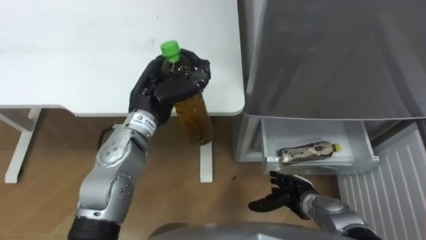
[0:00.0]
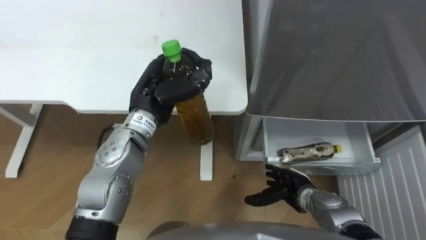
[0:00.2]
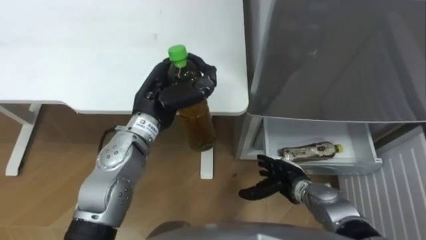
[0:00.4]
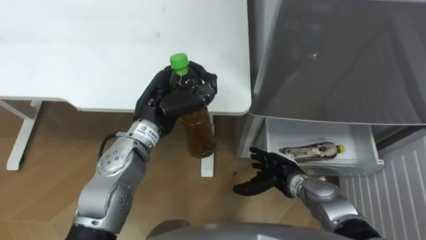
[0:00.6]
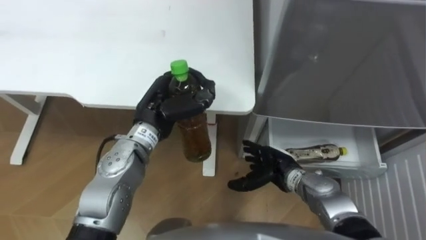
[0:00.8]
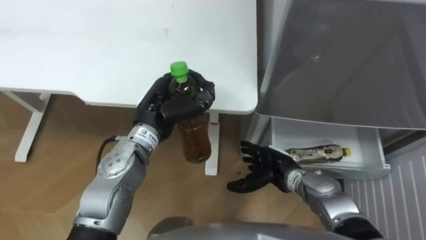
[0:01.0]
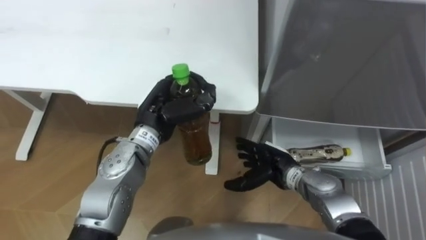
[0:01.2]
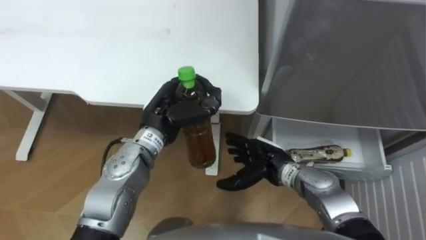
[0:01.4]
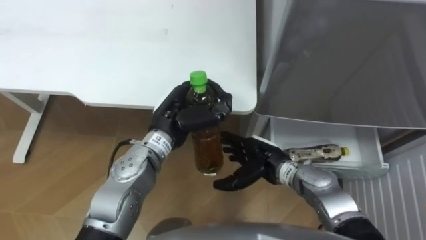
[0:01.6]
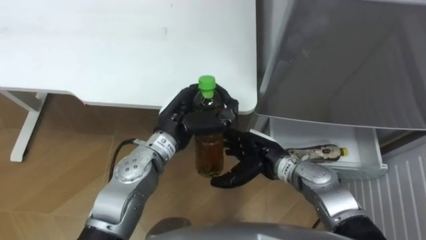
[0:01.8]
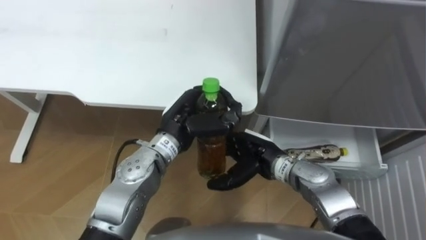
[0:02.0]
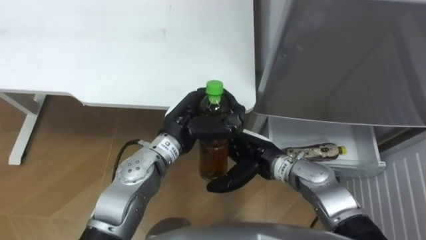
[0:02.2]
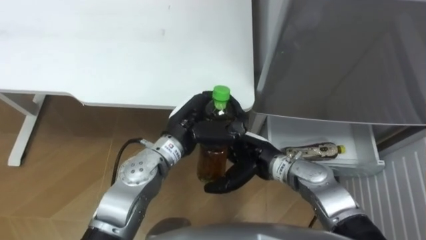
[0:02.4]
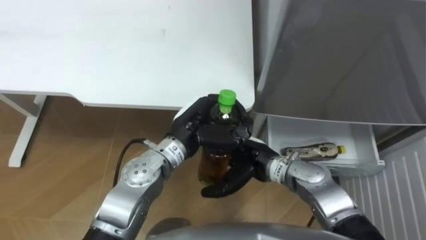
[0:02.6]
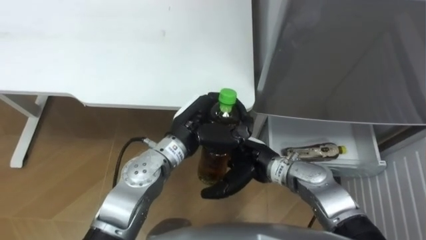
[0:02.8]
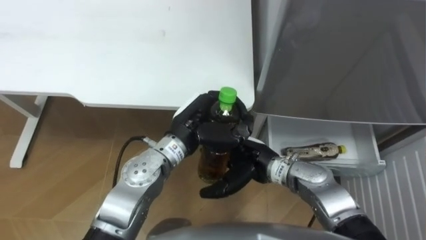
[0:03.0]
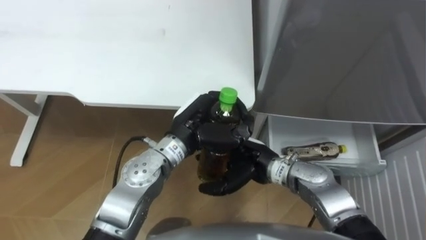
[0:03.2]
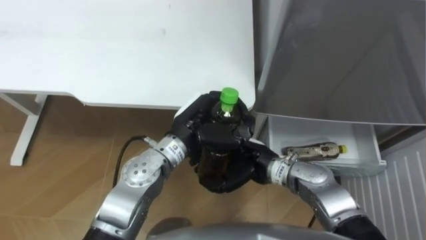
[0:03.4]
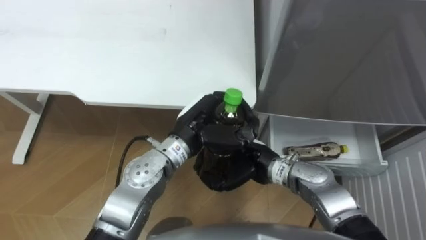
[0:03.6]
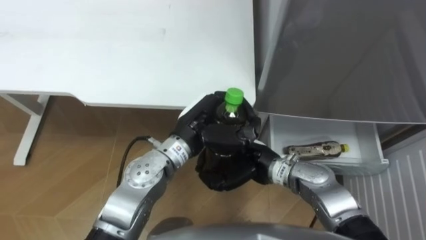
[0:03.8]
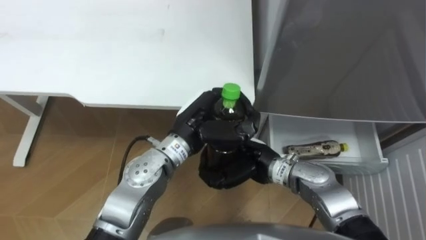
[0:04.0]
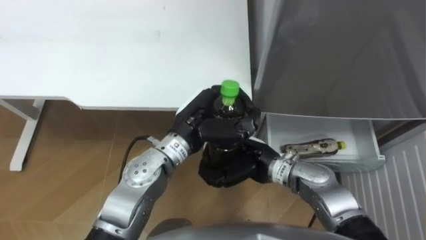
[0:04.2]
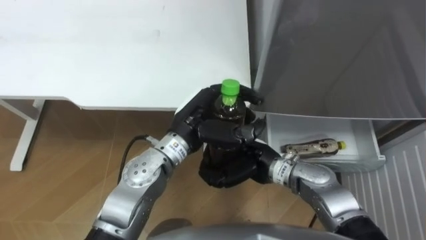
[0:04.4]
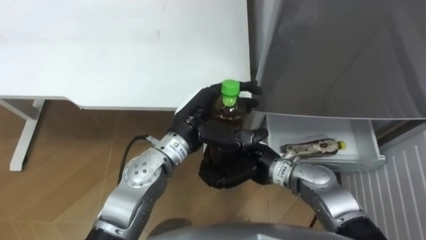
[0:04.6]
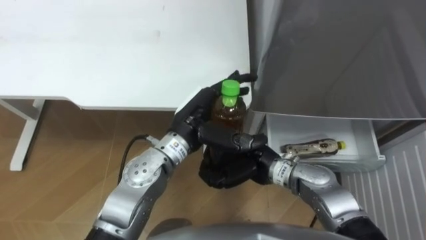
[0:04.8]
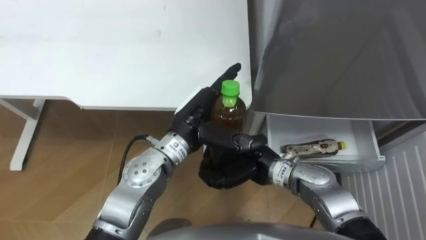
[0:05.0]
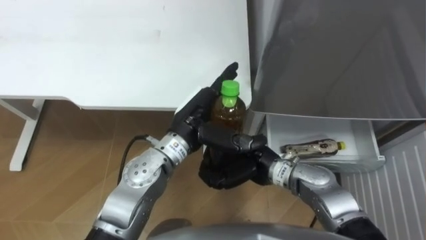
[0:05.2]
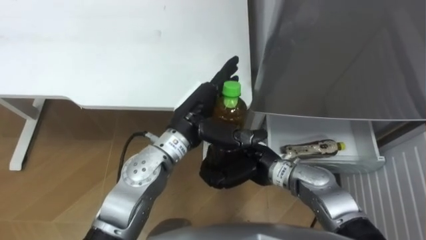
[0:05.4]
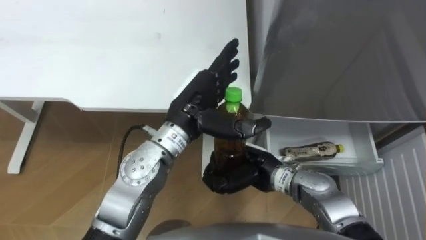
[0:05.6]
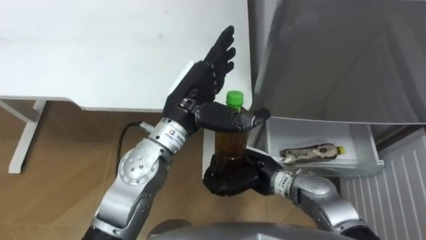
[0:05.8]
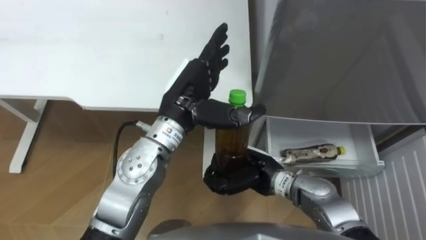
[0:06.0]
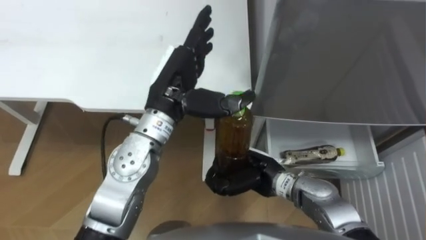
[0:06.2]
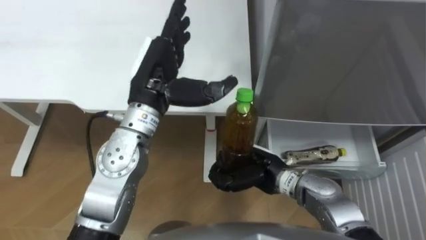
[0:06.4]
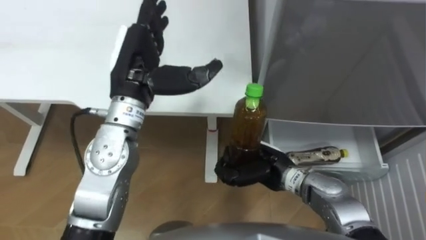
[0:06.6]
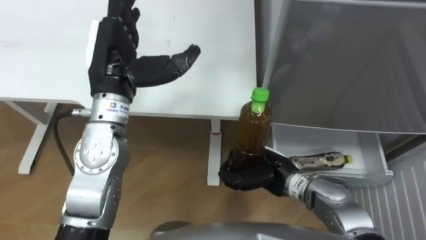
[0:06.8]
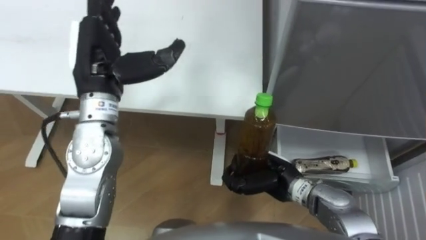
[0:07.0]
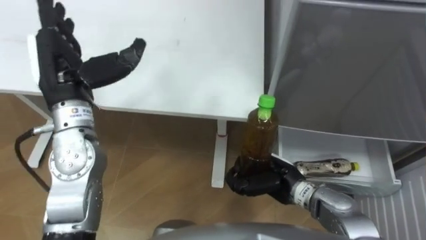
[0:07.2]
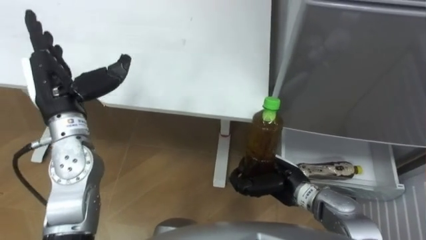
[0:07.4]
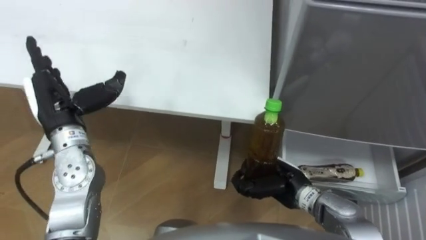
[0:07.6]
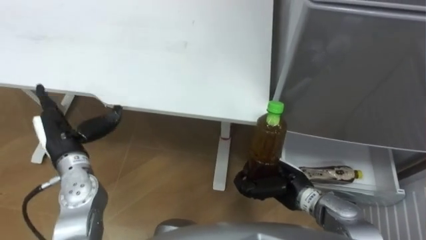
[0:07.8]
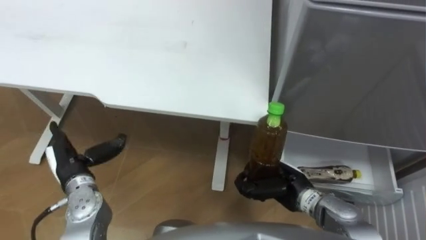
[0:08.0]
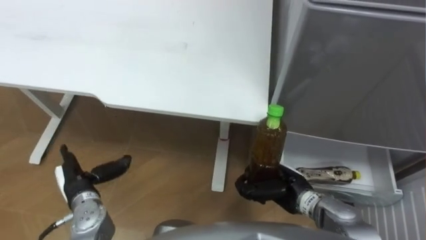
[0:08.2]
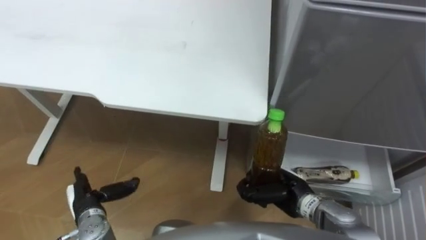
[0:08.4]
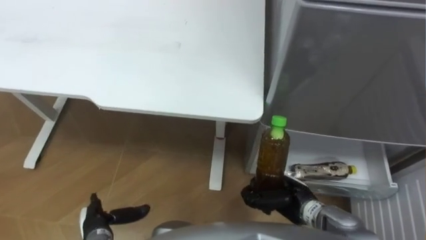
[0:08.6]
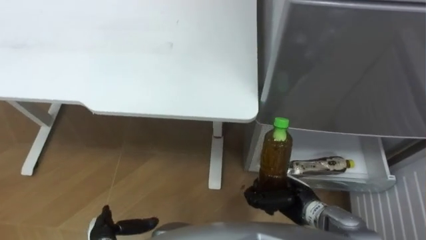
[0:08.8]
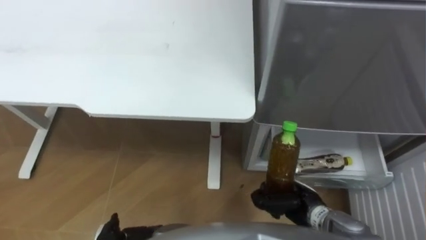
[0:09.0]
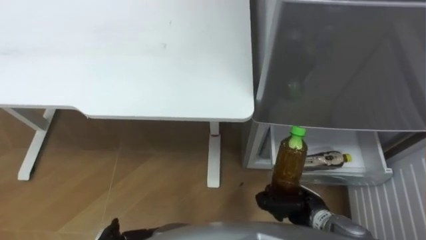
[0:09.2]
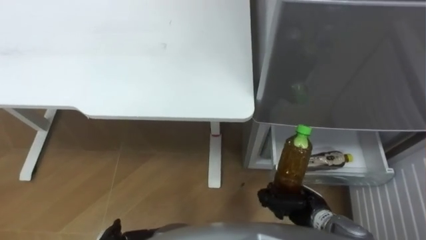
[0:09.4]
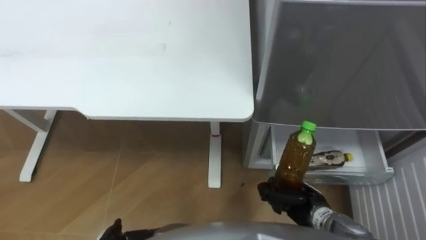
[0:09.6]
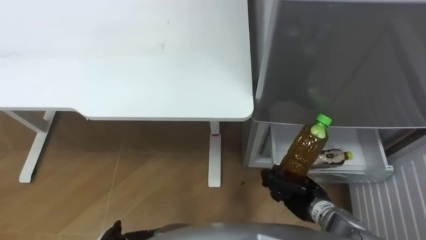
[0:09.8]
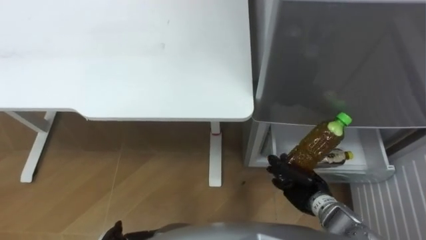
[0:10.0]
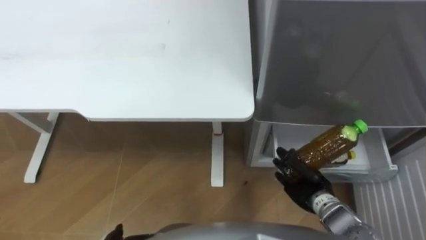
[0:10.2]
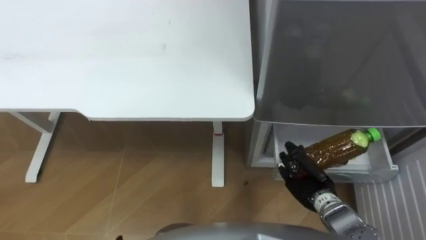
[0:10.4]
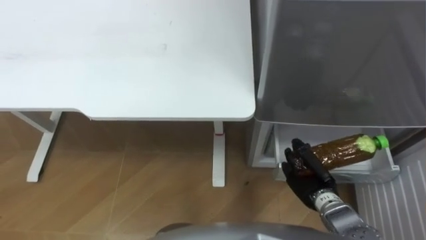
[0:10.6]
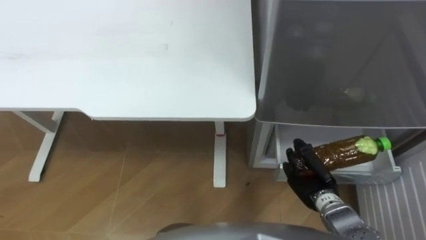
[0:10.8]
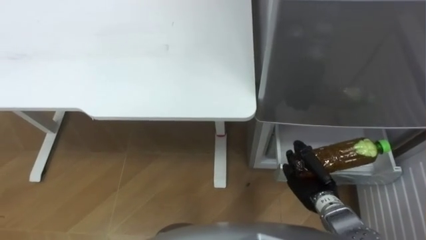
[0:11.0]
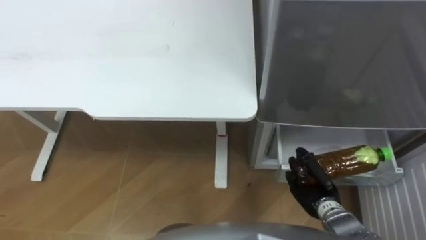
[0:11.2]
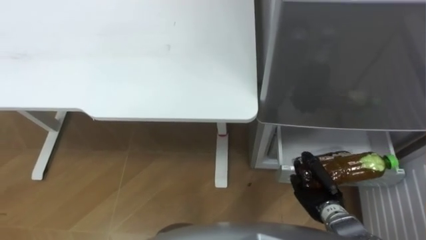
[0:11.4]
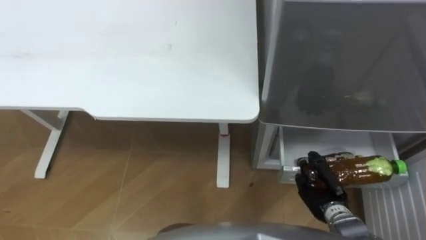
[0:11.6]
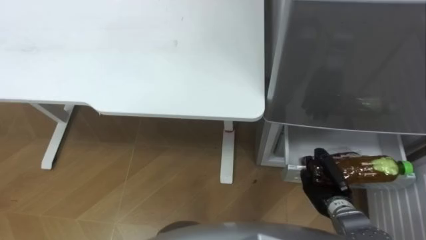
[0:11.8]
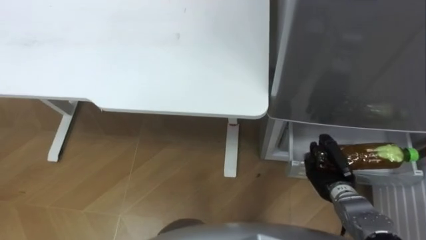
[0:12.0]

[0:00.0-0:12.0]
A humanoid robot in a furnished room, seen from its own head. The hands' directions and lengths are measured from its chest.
Task of the whole recording: Place the drink on the table on the bottom shelf of the refrigerator, then close the drawer and the refrigerator door.
0:00.0 to 0:01.6: The right hand moves upward, to the left and forward, approximately 15 cm; the left hand ends up some 5 cm from where it was.
0:01.6 to 0:03.0: The hands move only a little.
0:03.0 to 0:04.4: The right hand closes up.
0:04.4 to 0:06.0: The left hand is displaced upward by some 5 cm, and opens its fingers.
0:06.0 to 0:07.6: The right hand moves to the right, about 5 cm. The left hand heads to the left, covering some 20 cm.
0:07.6 to 0:09.0: The right hand changes place by roughly 5 cm.
0:10.4 to 0:12.0: The right hand shifts by some 5 cm.

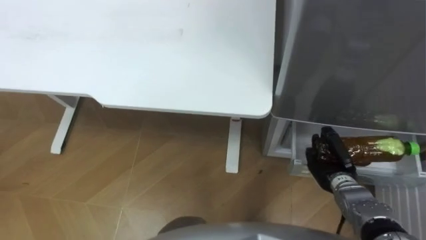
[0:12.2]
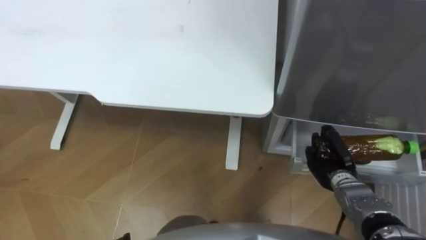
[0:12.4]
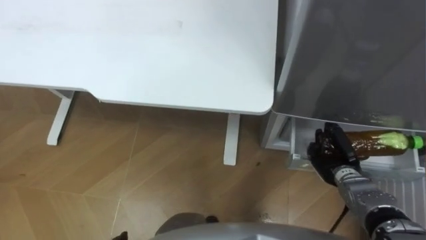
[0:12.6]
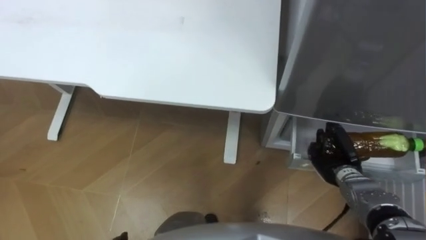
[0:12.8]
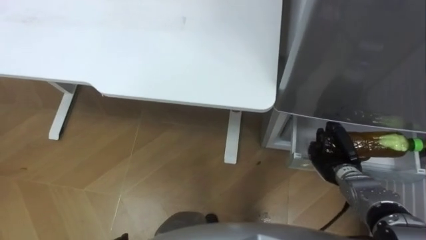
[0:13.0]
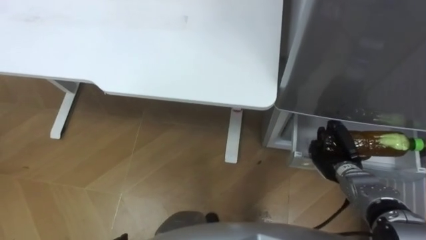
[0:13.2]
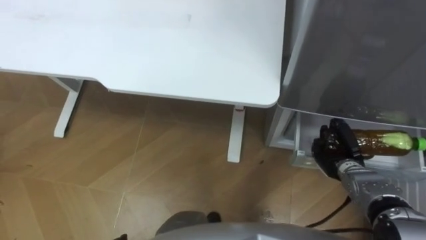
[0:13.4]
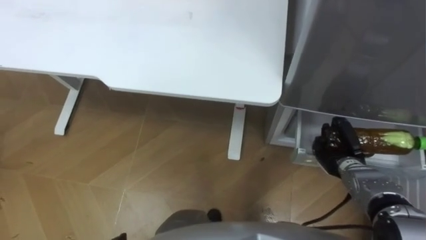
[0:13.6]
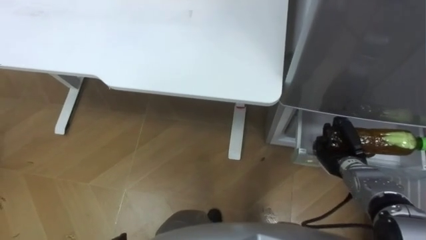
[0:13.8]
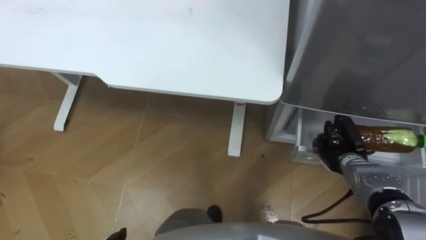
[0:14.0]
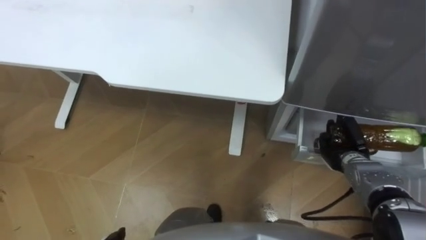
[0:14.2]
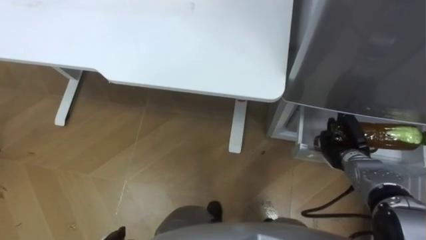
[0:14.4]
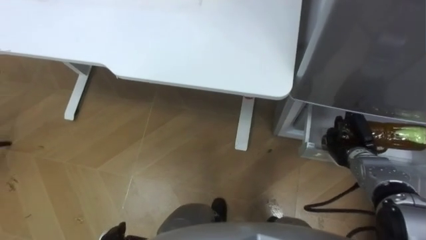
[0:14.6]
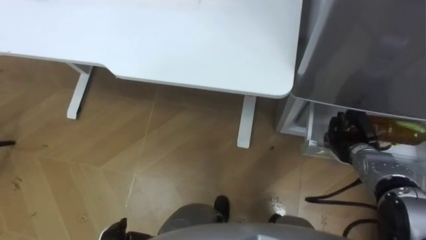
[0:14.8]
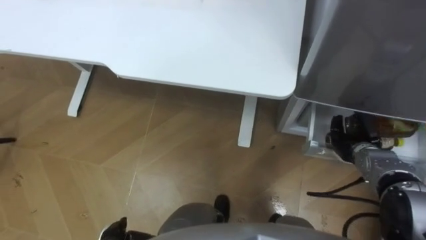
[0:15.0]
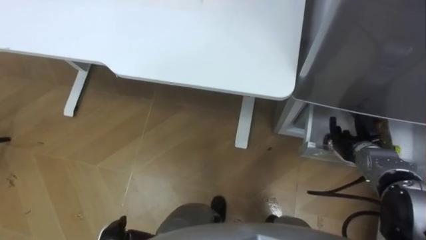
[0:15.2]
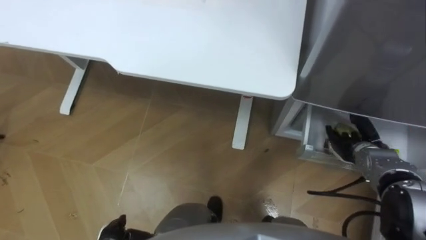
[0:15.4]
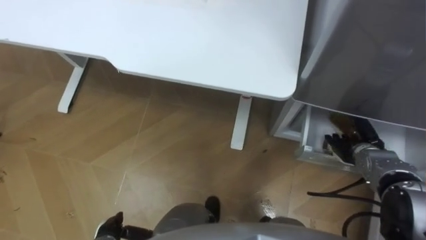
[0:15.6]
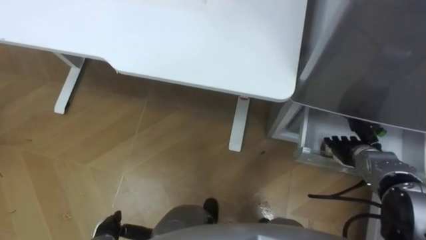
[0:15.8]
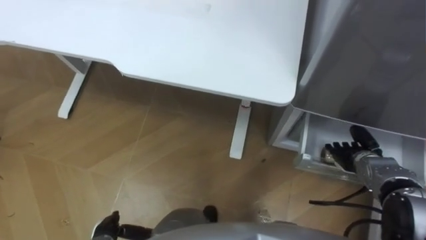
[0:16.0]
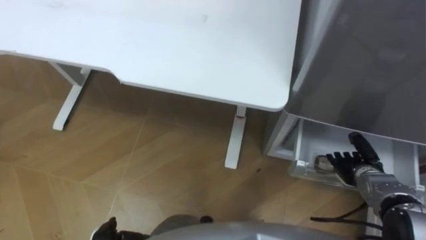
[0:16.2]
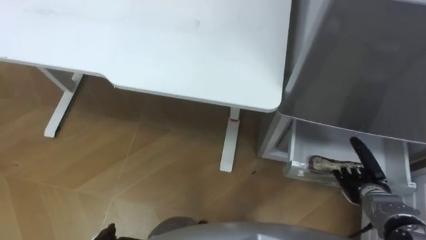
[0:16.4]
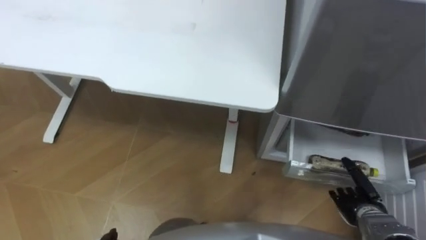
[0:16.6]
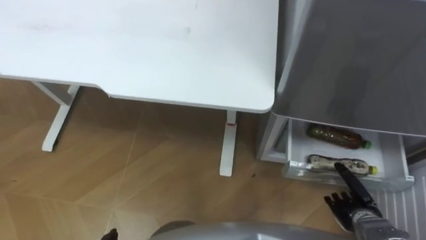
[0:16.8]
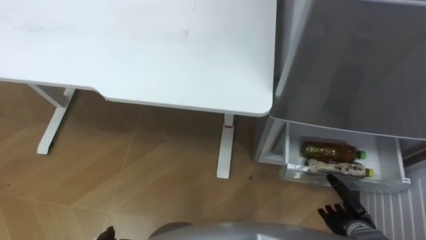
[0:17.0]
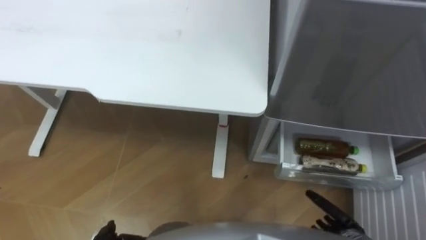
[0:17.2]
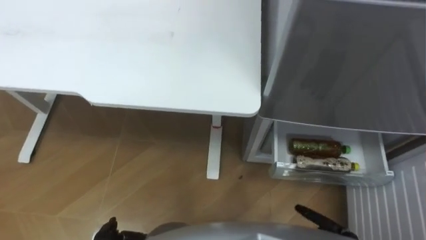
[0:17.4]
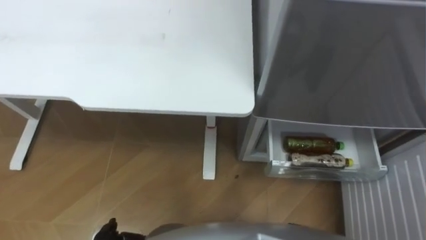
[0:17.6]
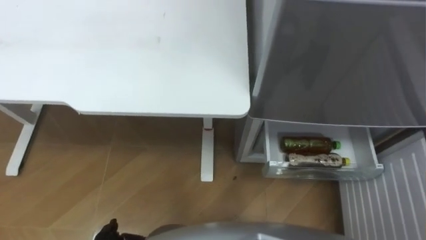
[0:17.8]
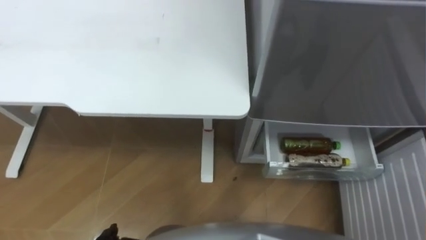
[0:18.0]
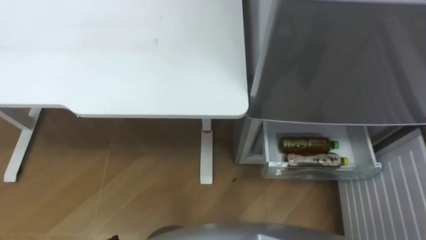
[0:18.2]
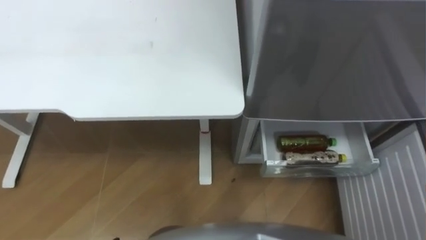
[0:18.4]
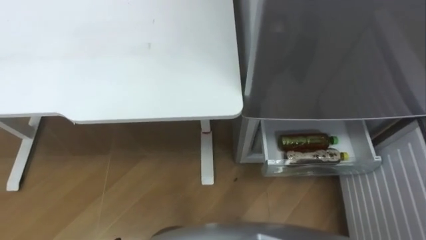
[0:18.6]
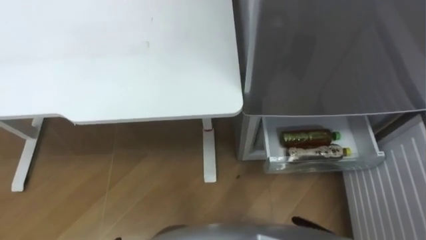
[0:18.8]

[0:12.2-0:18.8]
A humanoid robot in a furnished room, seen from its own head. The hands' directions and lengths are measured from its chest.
Task of the whole recording: Place the drink on the table on the bottom shelf of the refrigerator, then close the drawer and the refrigerator door.
0:13.8 to 0:15.4: The right hand opens.
0:15.4 to 0:17.2: The right hand heads backward and downward, covering roughly 20 cm.
